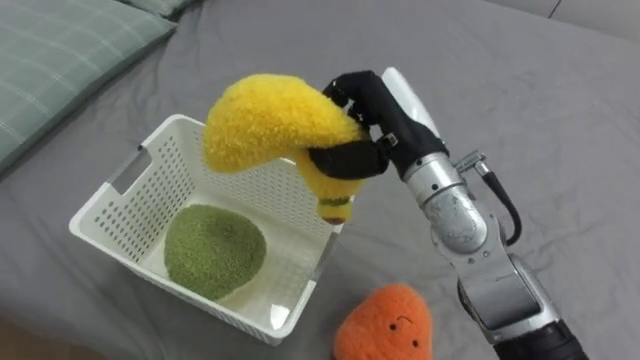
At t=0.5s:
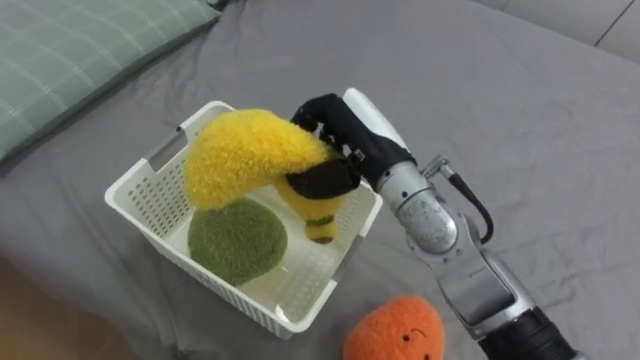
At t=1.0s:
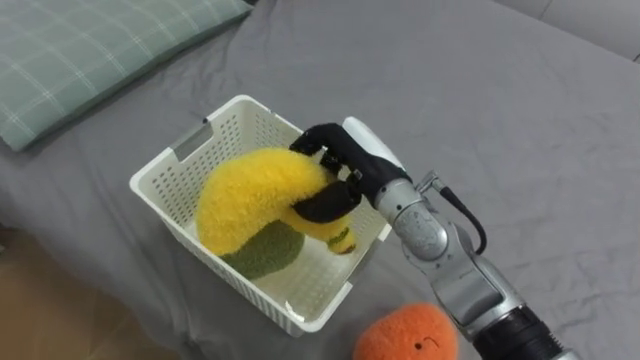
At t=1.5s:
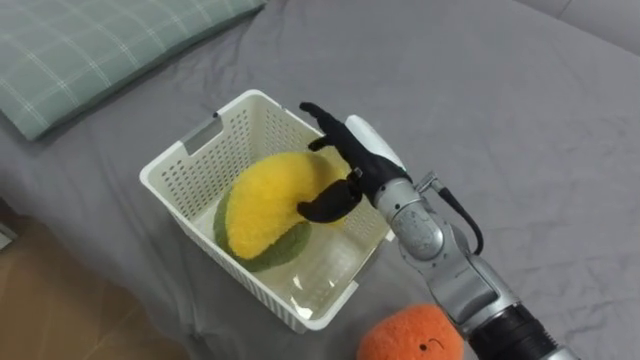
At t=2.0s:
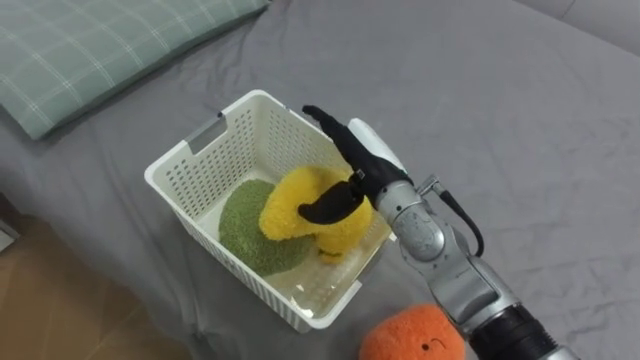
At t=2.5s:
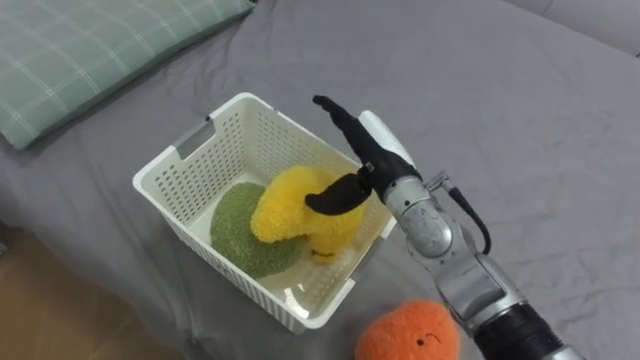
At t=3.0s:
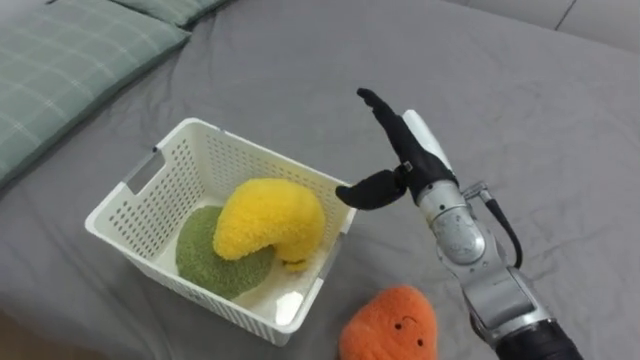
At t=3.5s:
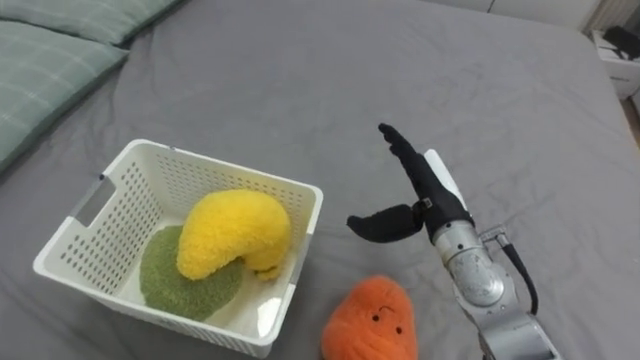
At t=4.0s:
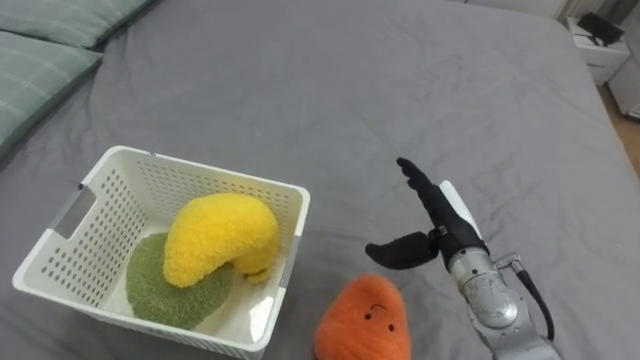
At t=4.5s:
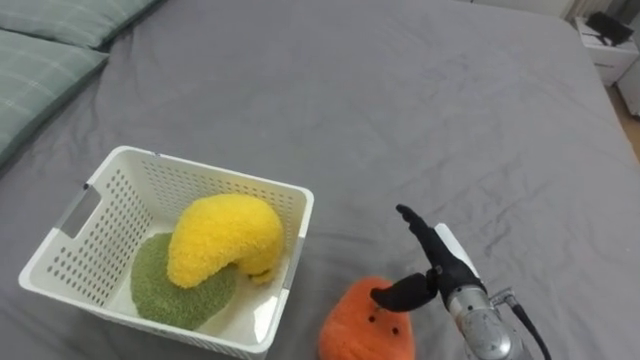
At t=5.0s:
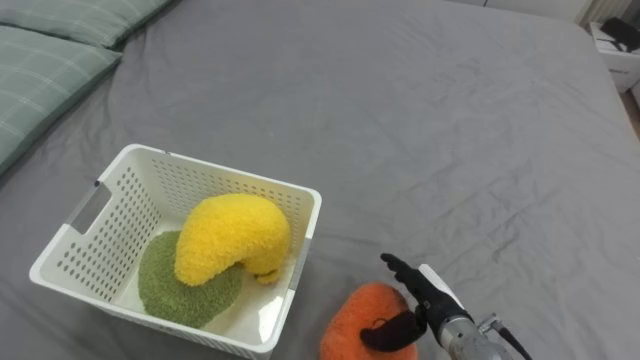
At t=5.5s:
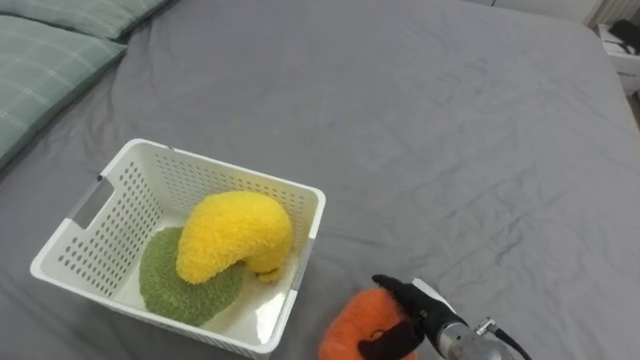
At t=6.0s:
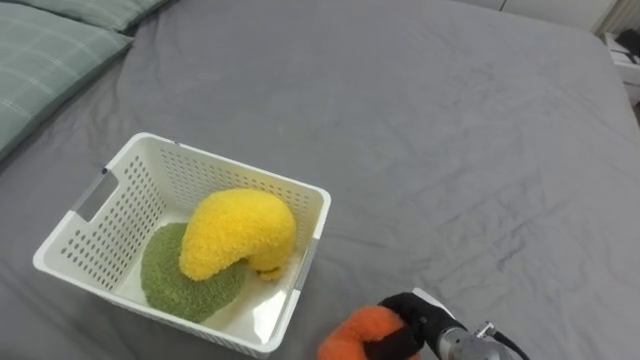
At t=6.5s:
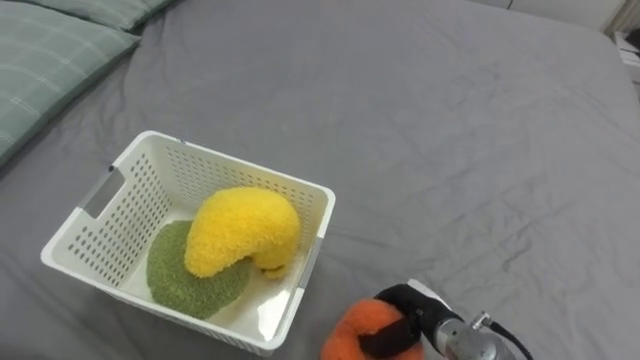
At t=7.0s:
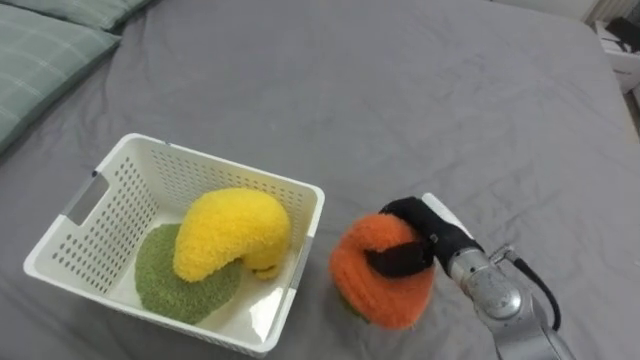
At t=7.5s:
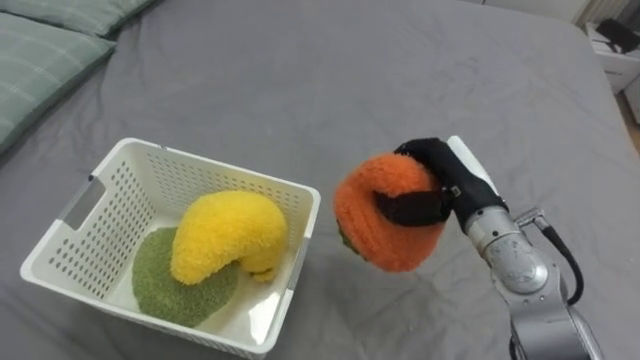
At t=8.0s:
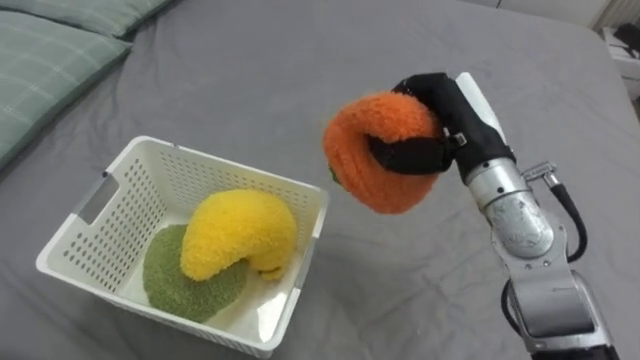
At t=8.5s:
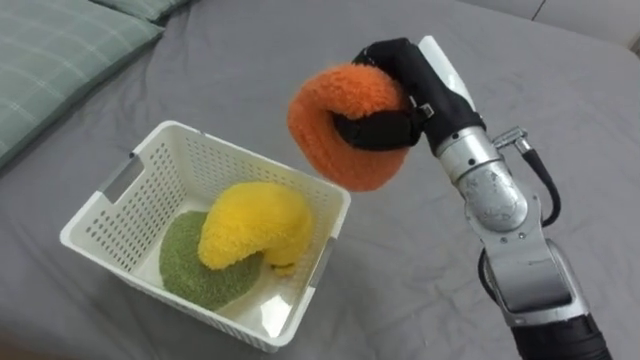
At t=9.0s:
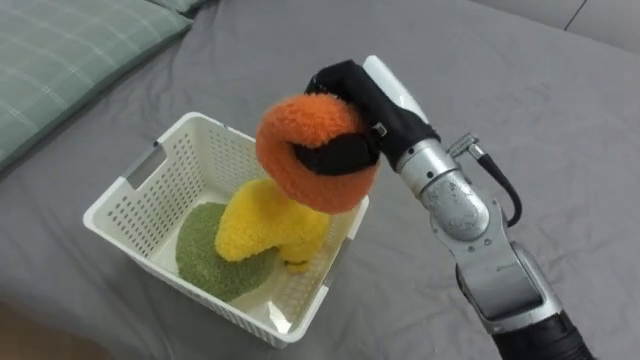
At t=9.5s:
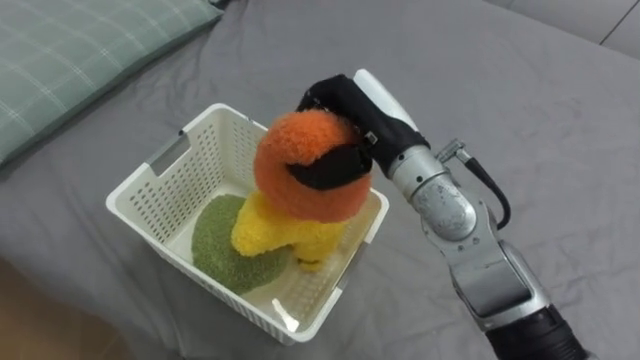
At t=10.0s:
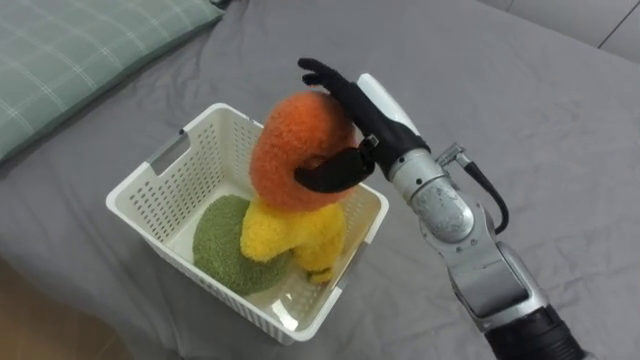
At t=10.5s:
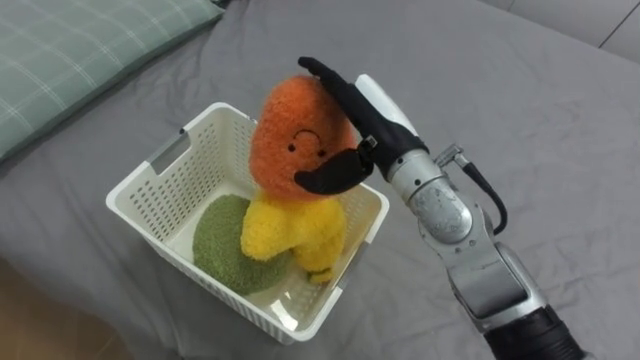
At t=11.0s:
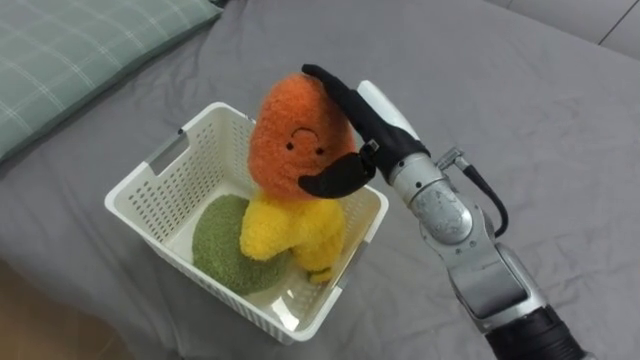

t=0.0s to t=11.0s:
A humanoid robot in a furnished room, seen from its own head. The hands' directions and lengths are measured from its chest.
Task of the whole recording: Put the toys on the bed into the basket on the left.
t=0.0s to t=2.0s: The right hand shifts roughly 5 cm downward, and opens.
t=2.0s to t=3.5s: The right hand is displaced to the right by roughly 10 cm.
t=3.5s to t=5.5s: The right hand shifts about 20 cm downward and backward.
t=5.5s to t=7.5s: The right hand heads upward and forward, covering roughly 20 cm, and closes.
t=7.5s to t=9.0s: The right hand goes some 15 cm to the left and upward.
t=9.0s to t=11.0s: The right hand opens up.

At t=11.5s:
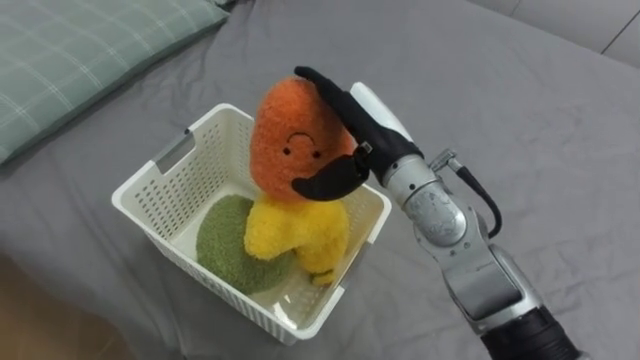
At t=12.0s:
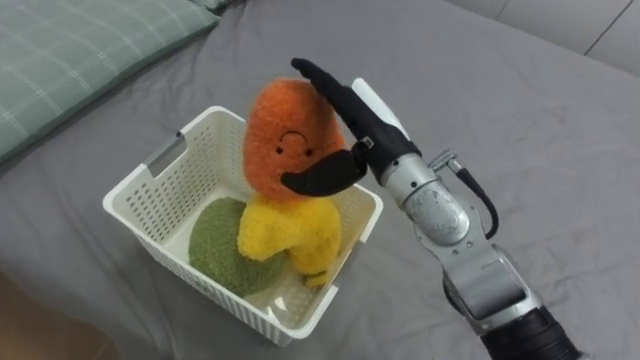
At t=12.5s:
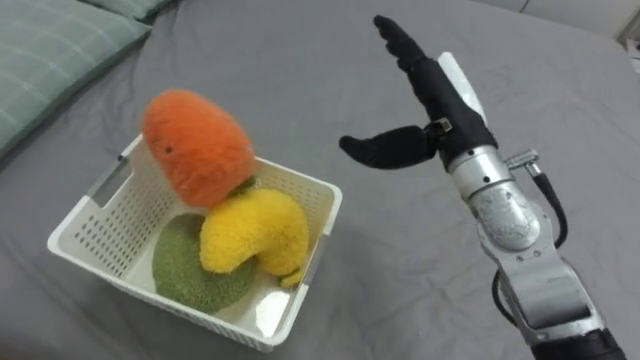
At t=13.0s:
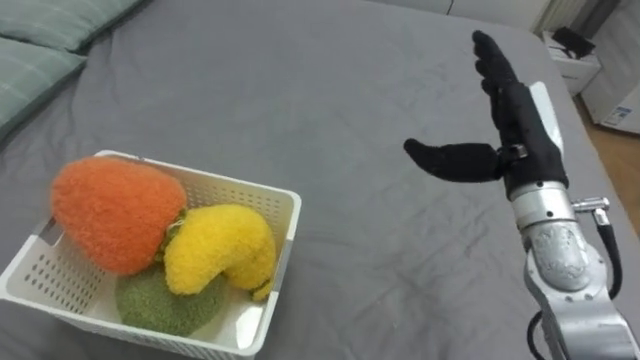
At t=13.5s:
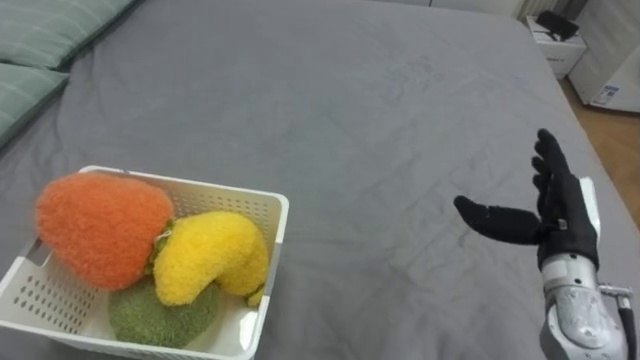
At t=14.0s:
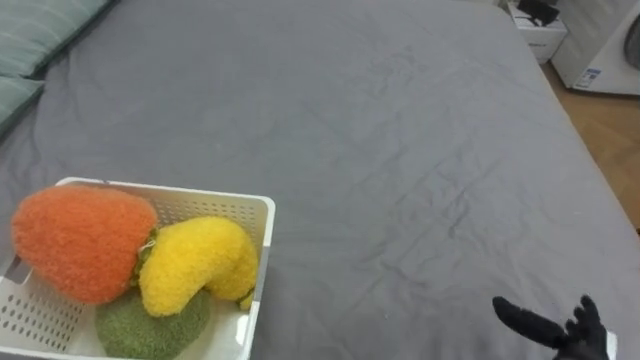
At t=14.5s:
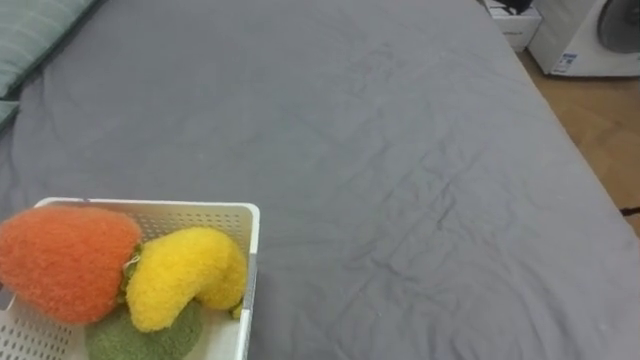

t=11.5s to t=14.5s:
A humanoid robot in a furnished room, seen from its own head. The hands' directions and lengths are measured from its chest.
Task of the whole recording: Put the toys on the bed into the basket on the left.
t=11.5s to t=13.0s: The right hand shifts about 15 cm to the right.

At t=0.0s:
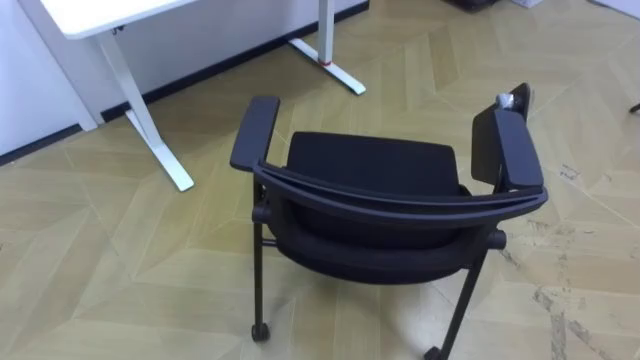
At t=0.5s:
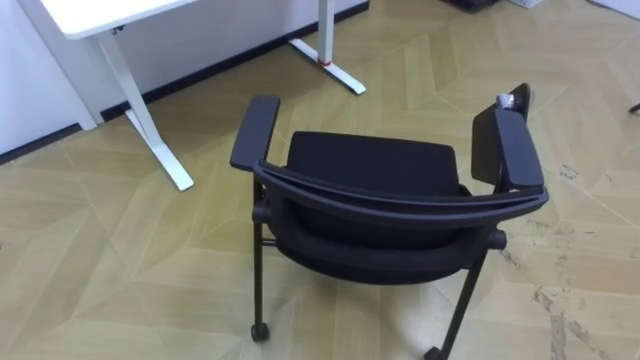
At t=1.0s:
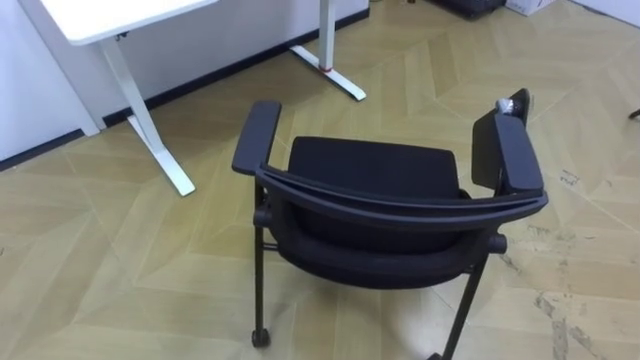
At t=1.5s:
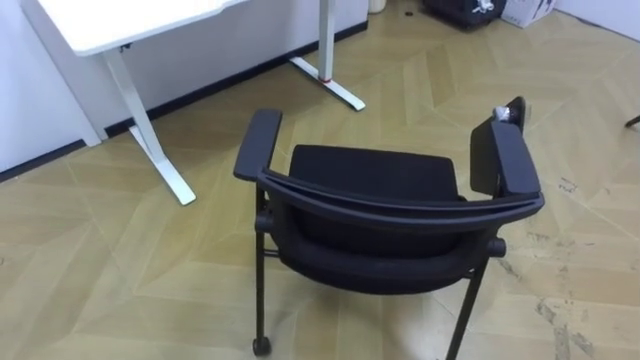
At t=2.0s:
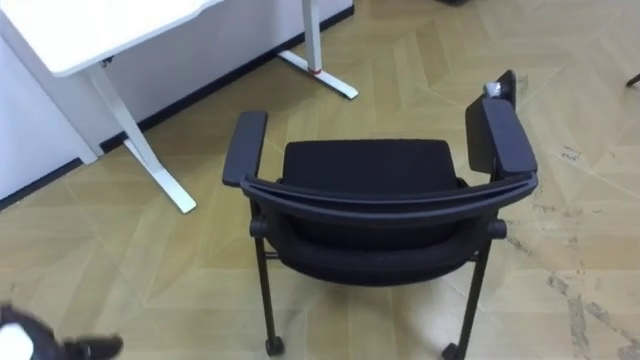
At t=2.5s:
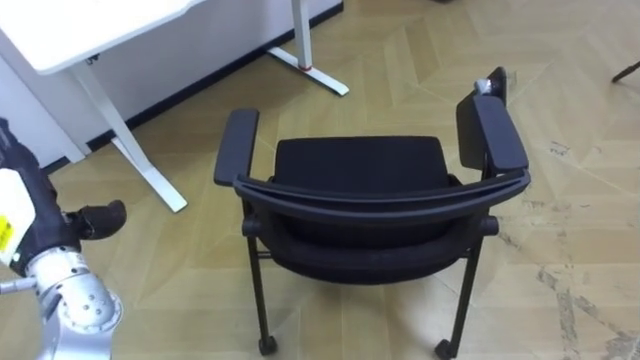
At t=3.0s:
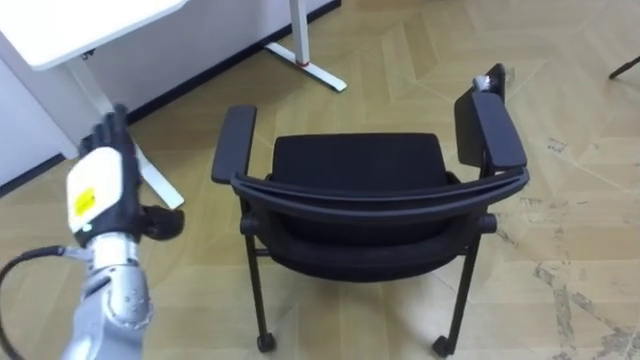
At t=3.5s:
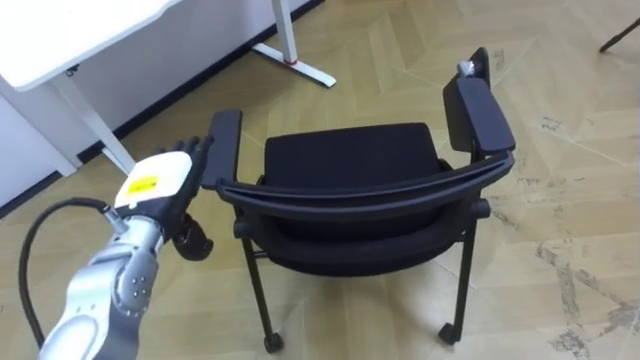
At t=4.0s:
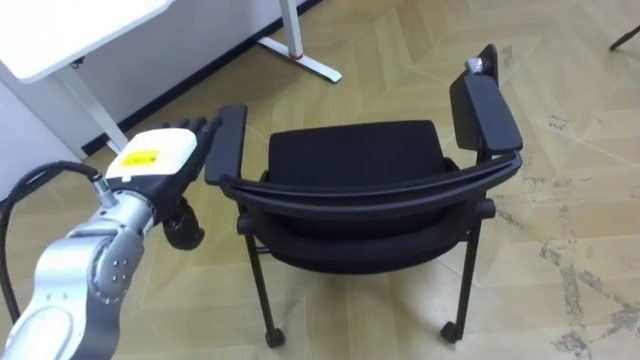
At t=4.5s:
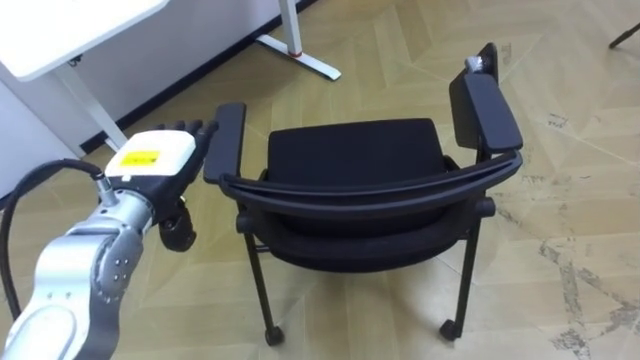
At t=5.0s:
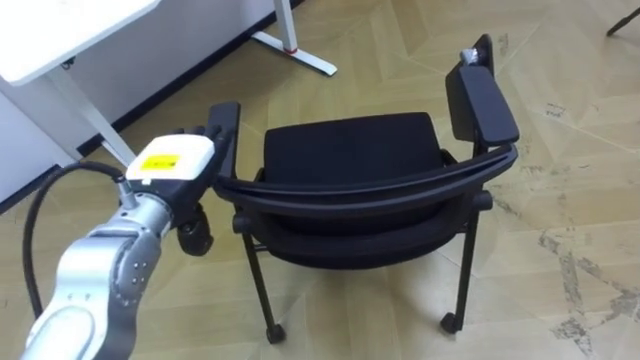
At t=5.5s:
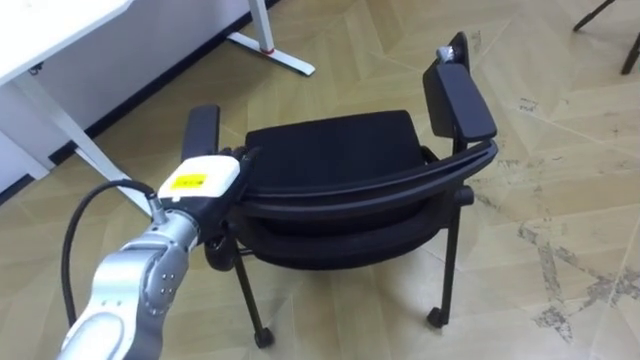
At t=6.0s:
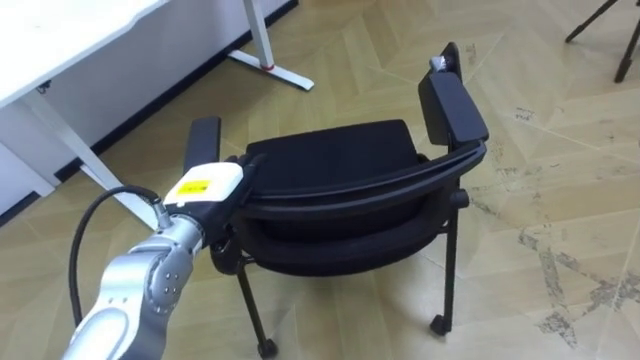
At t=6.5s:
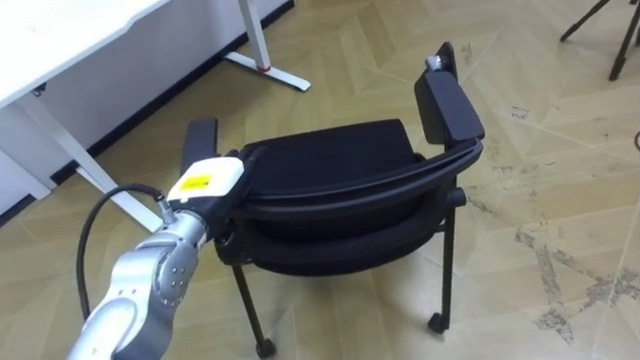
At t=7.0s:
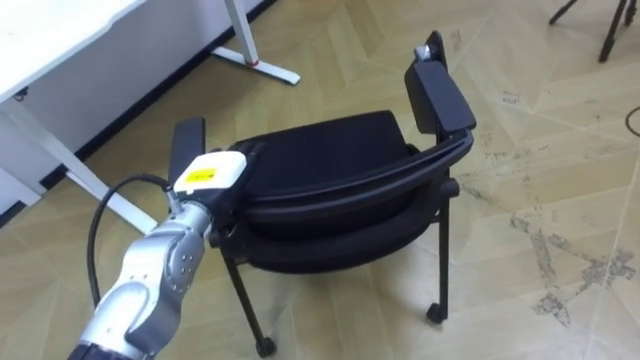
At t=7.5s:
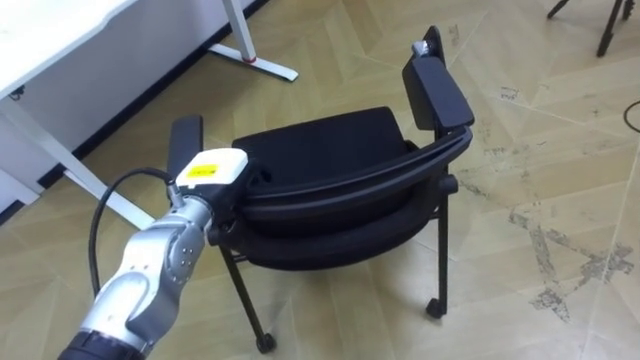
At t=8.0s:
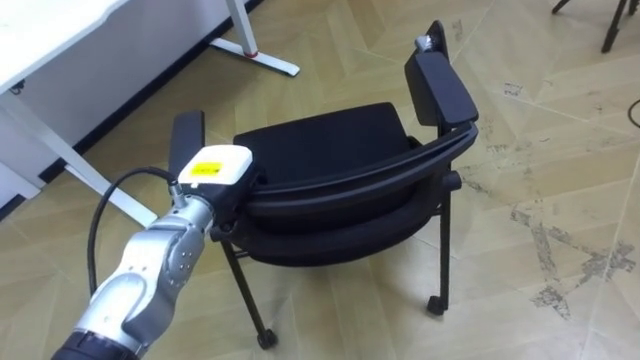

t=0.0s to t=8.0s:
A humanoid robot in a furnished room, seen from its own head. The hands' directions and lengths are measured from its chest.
Task of the whole recording: Push the chair under the table.
t=4.0s to t=6.0s: The left hand travels downward by approximately 5 cm.
t=6.0s to t=8.0s: The left hand closes.
